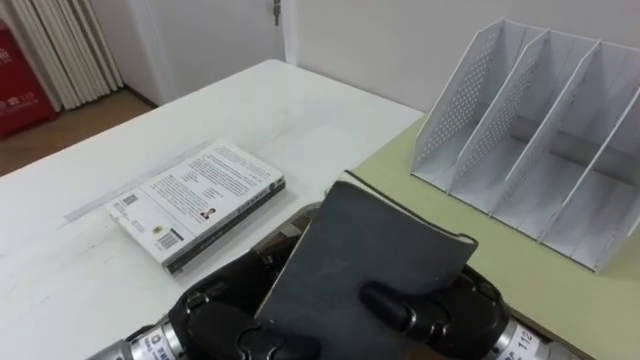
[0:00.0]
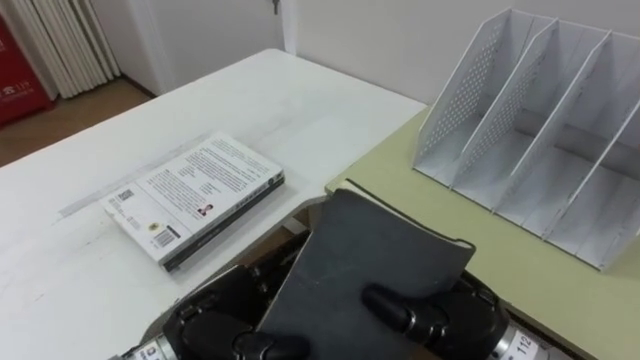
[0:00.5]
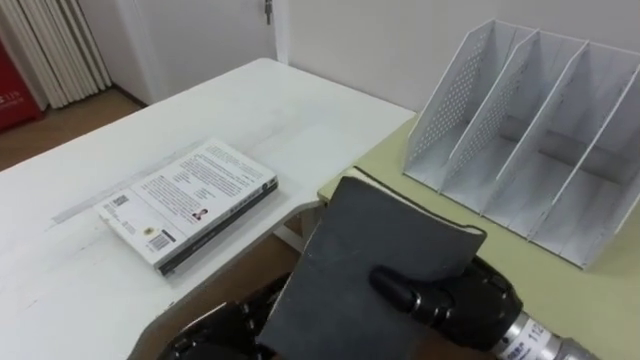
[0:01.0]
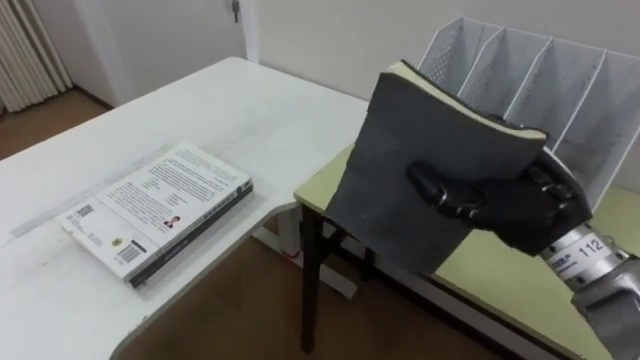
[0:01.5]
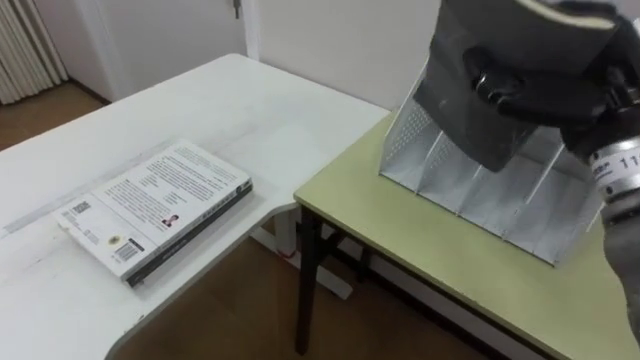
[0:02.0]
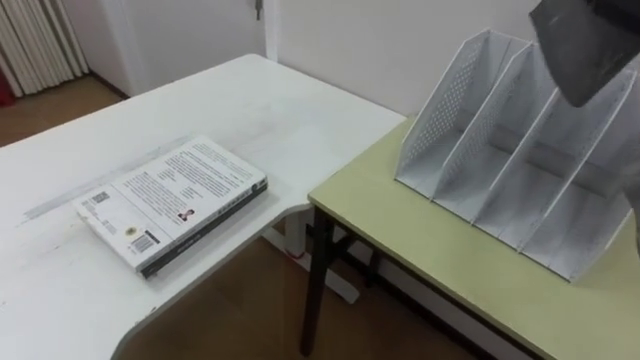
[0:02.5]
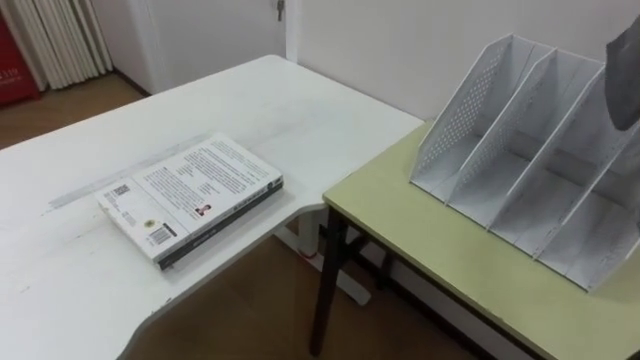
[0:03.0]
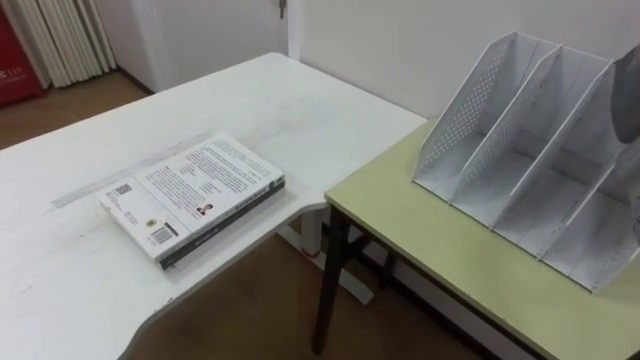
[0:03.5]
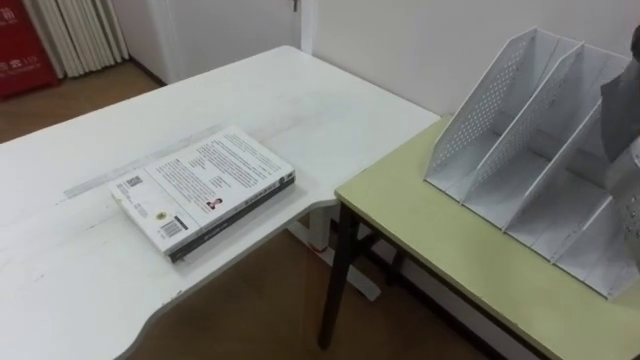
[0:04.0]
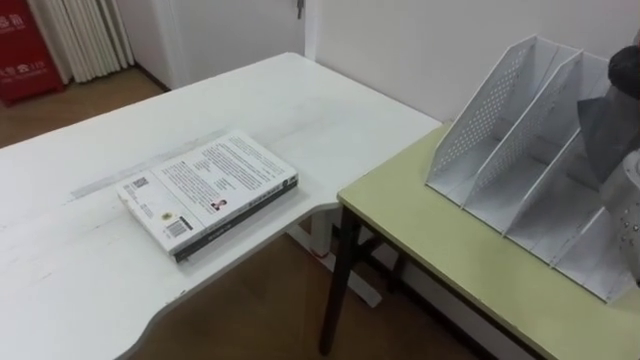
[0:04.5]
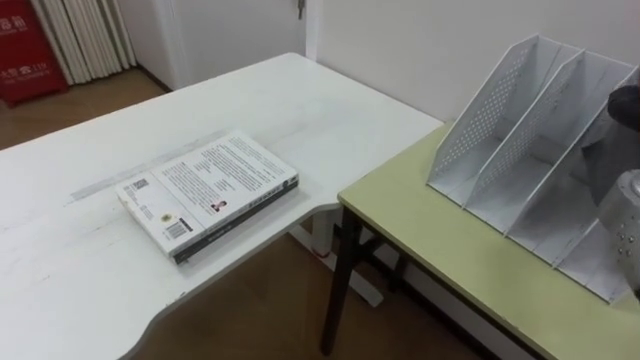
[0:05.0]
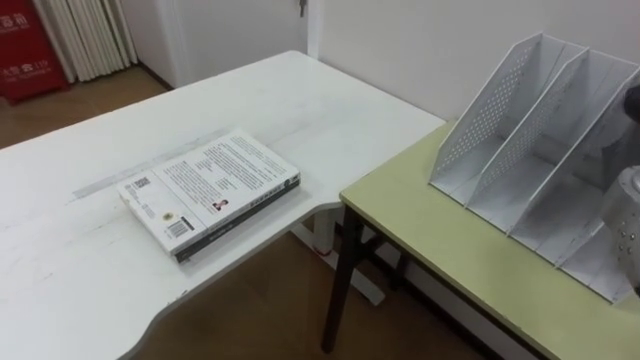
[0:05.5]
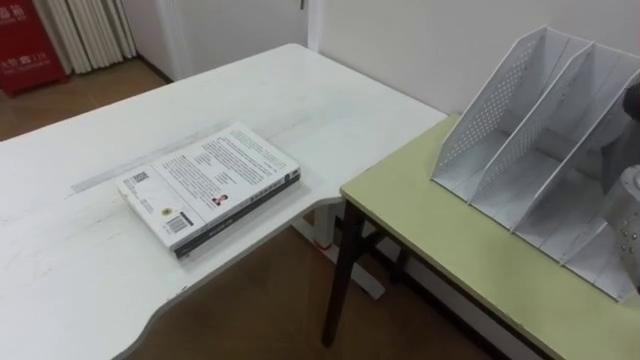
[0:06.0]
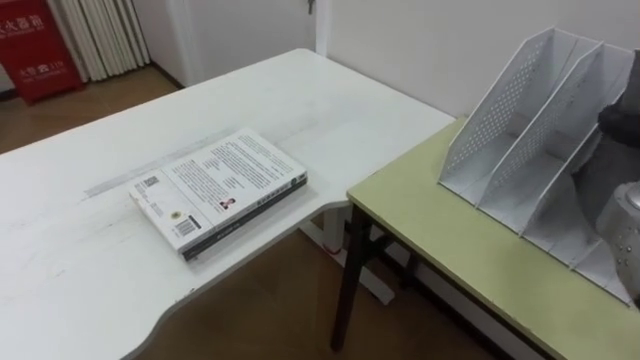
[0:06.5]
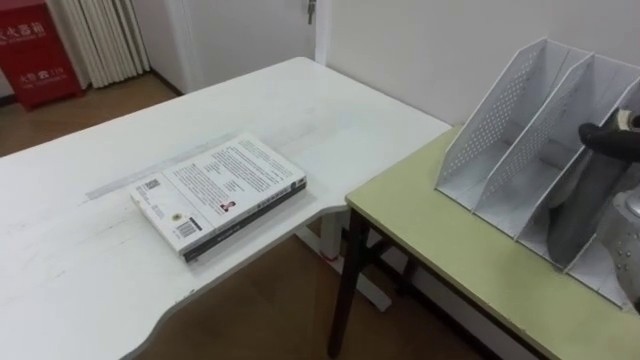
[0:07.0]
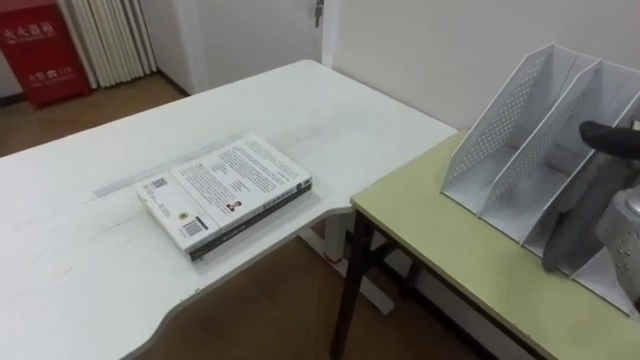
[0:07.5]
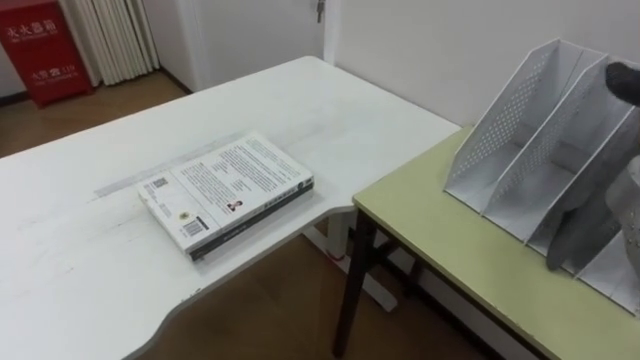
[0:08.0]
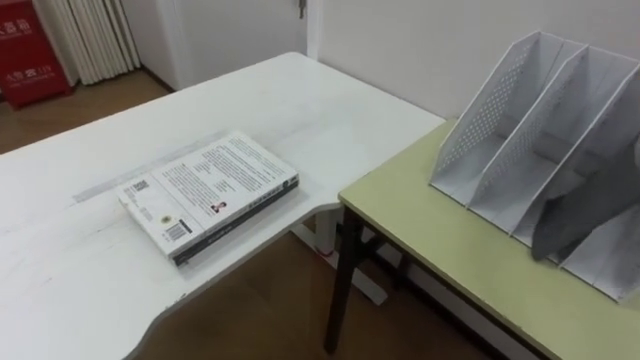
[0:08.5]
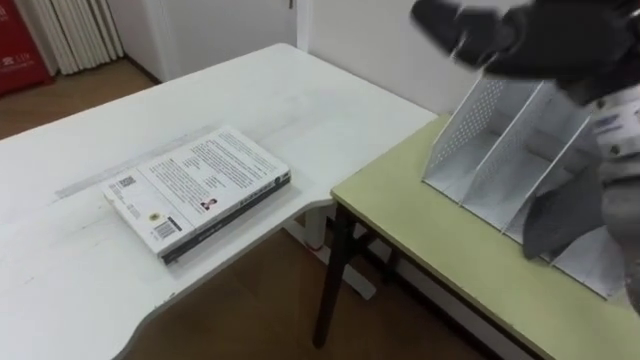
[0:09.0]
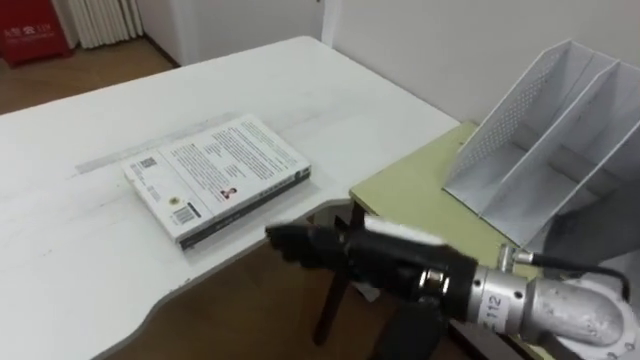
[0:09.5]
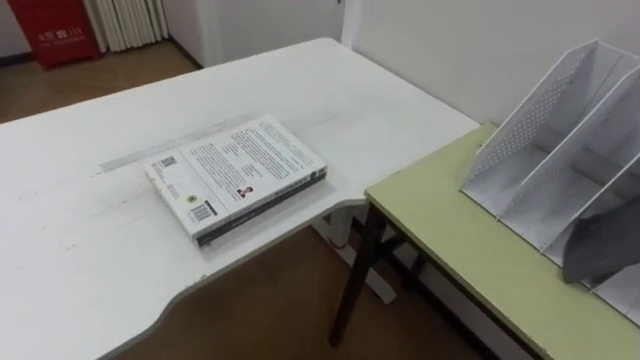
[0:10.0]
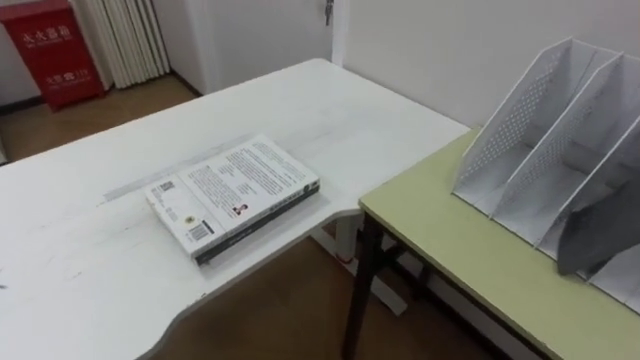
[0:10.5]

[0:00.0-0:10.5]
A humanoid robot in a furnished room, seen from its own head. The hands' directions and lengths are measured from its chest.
Task of the whole recording: Put the books on the table onto the bookshelf.
0:00.0 to 0:02.0: The right hand heads upward, to the right and forward, covering about 20 cm.

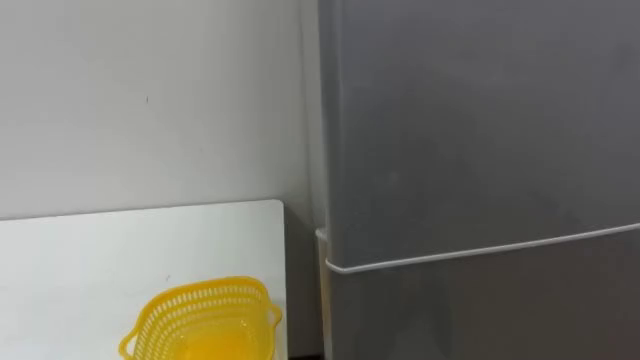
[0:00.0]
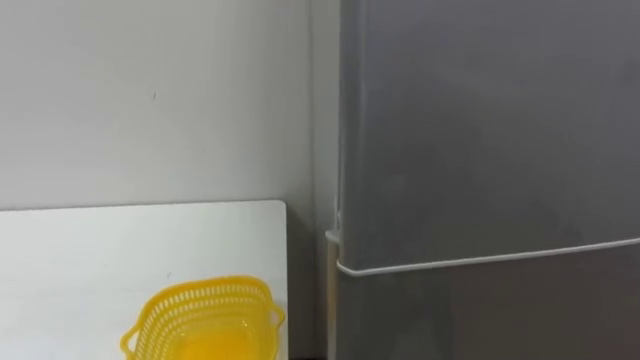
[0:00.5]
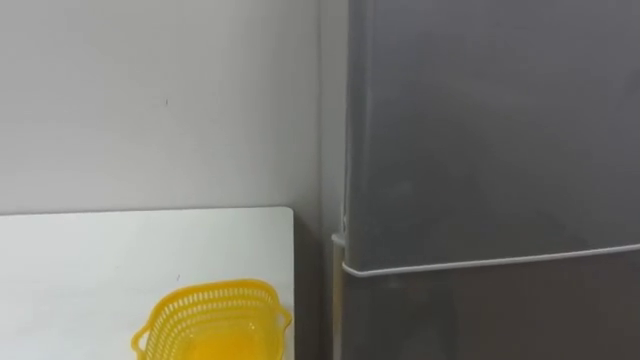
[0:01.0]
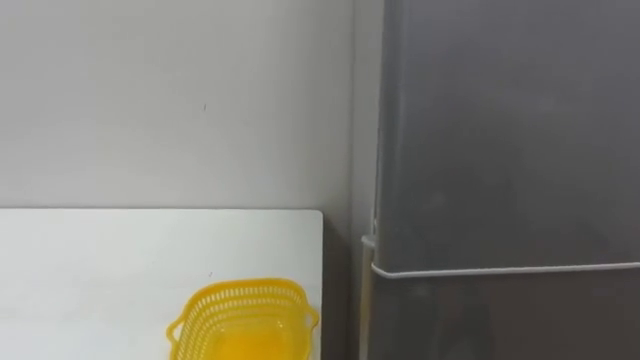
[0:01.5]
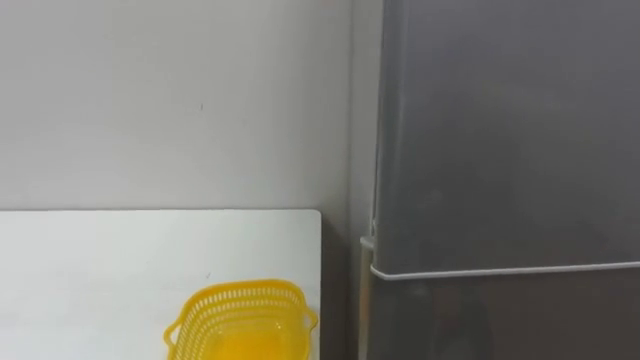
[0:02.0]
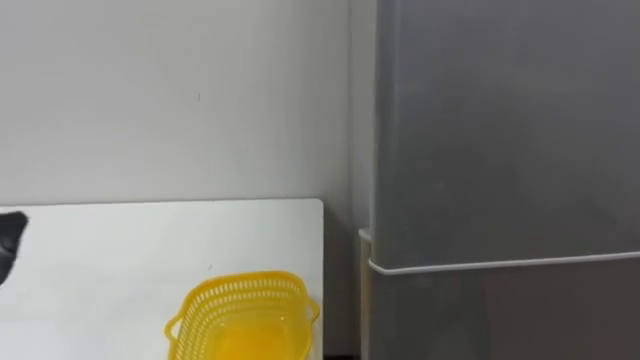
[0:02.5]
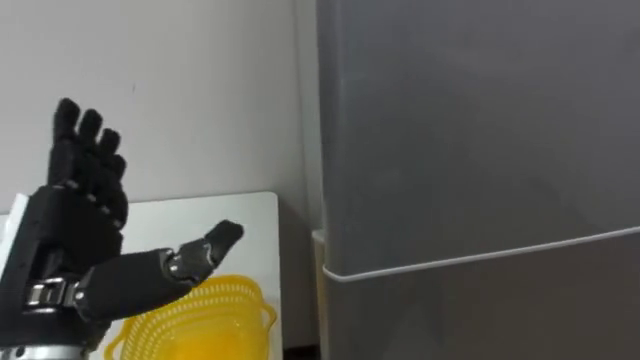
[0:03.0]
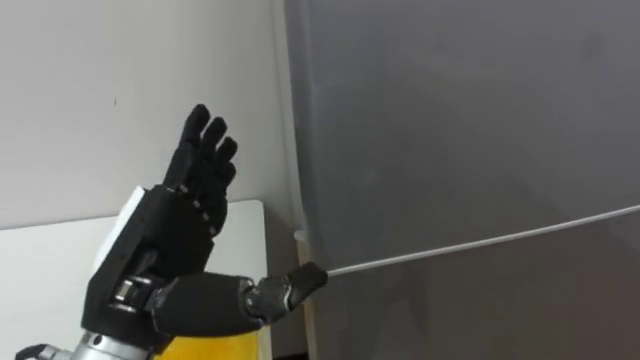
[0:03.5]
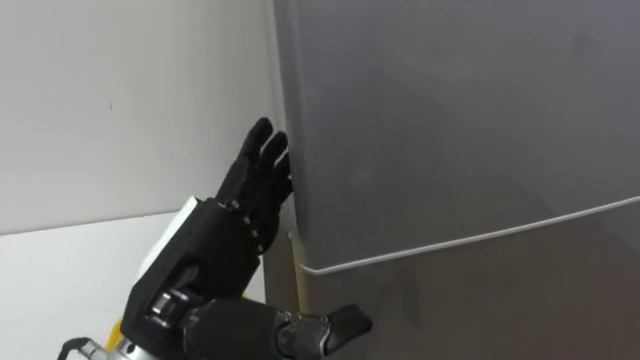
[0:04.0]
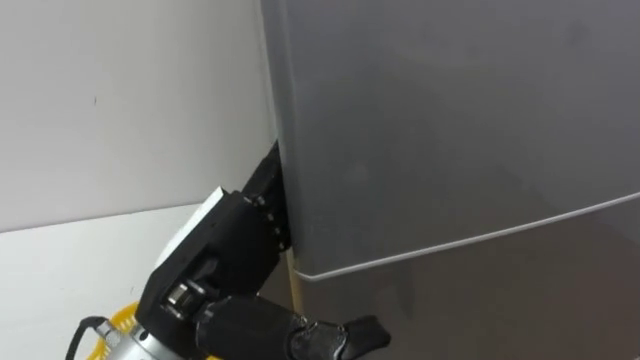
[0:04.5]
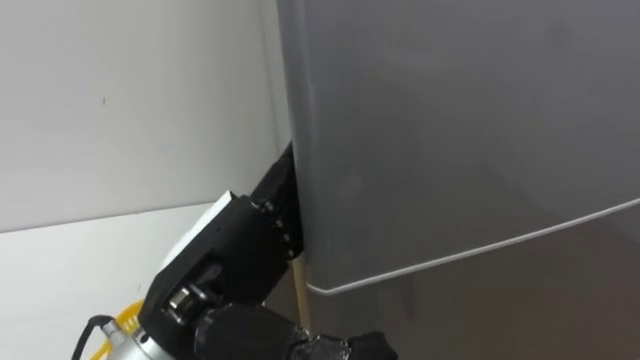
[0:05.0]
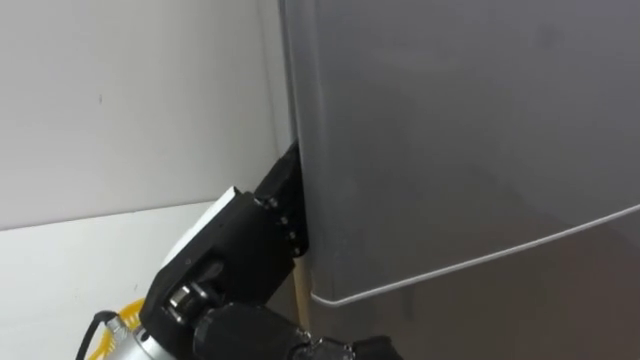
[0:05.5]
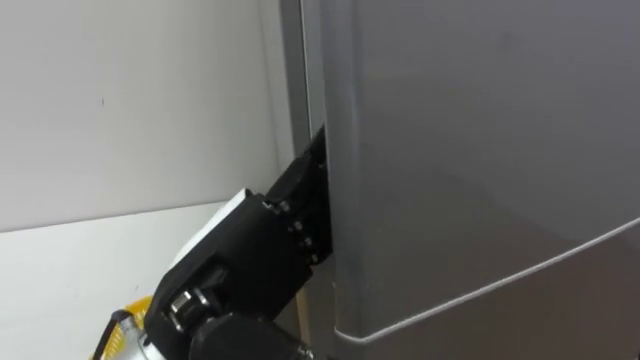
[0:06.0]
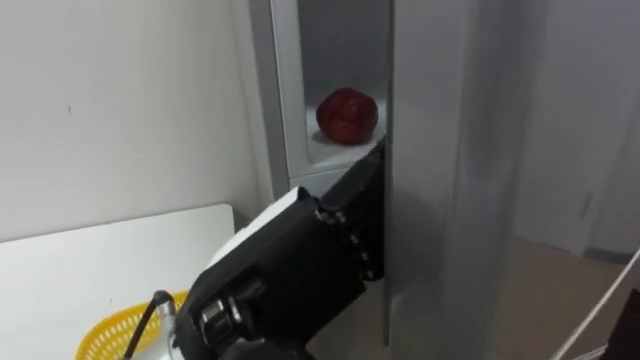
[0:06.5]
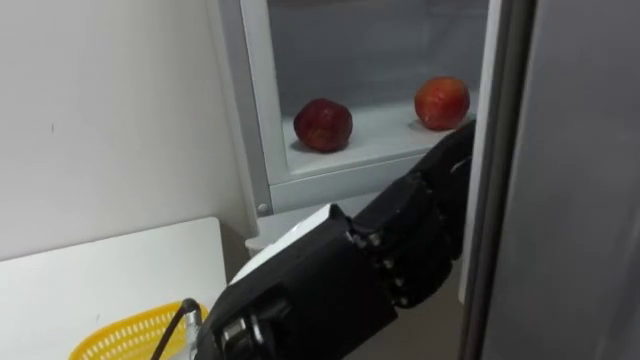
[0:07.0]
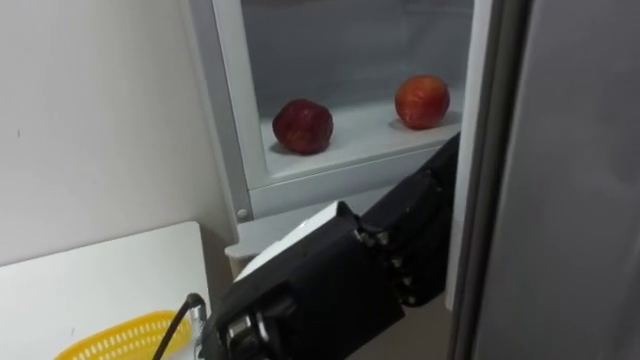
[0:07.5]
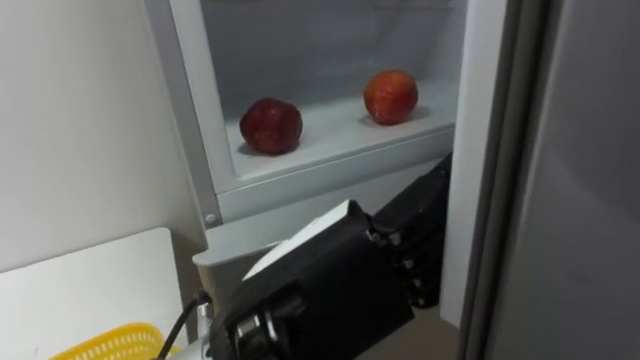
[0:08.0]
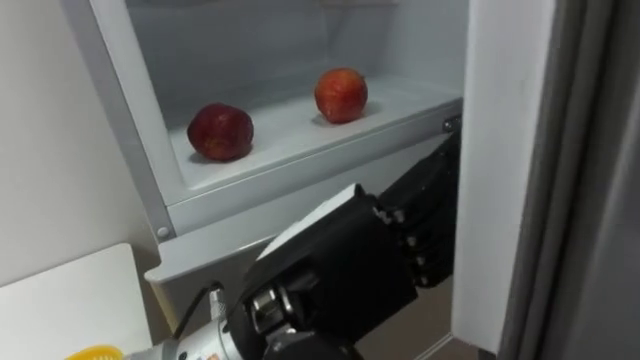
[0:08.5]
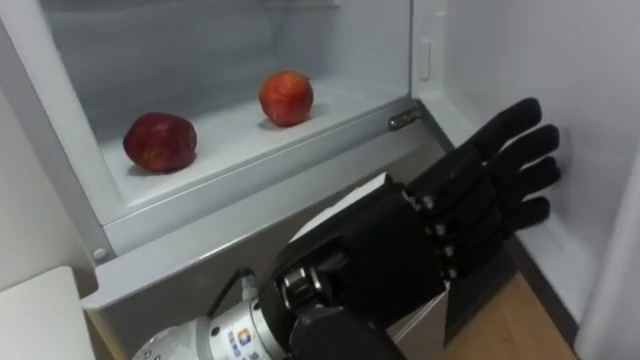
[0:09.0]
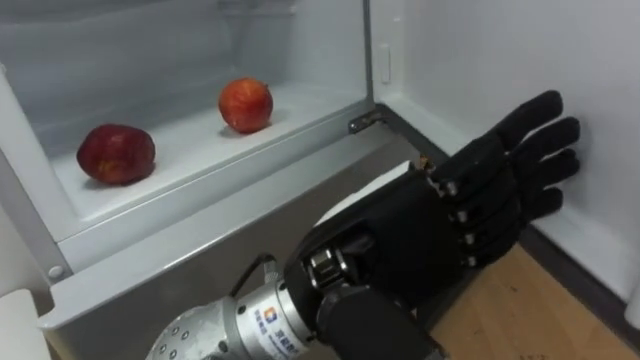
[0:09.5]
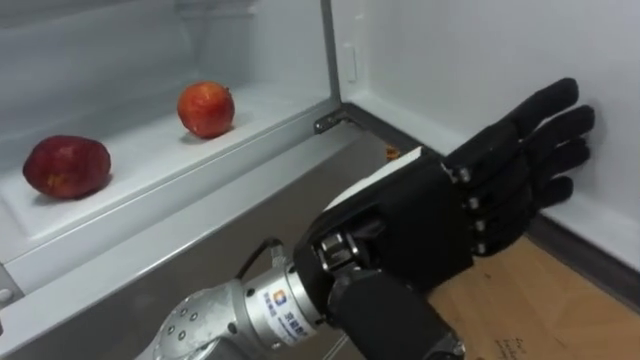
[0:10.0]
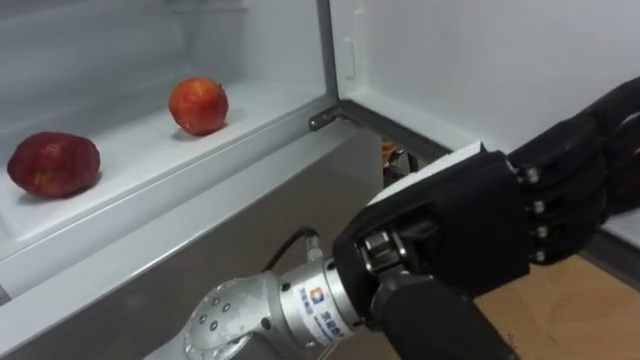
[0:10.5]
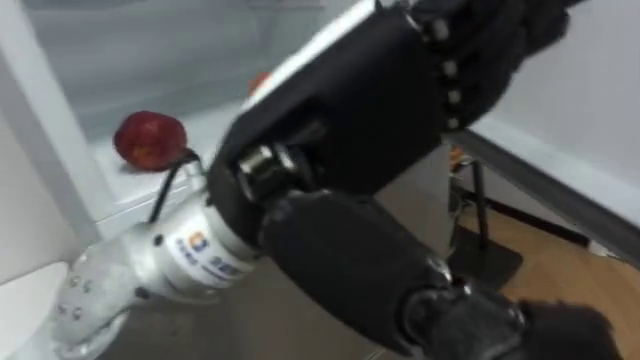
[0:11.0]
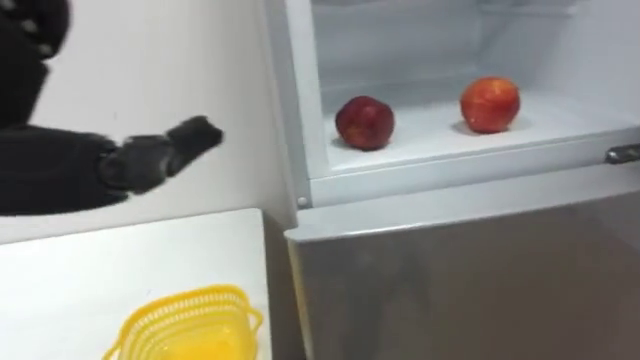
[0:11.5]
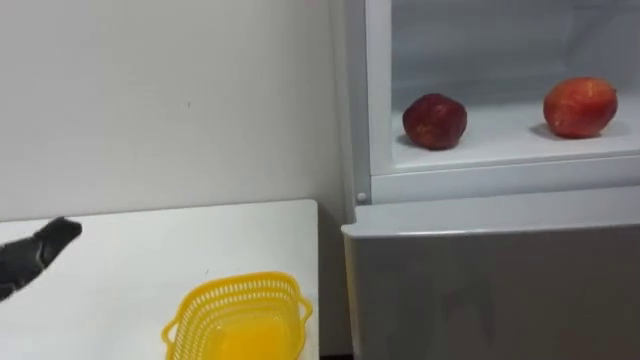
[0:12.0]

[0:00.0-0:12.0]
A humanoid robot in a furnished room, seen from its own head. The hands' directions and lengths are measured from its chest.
Task of the whole recording: Open the refrigerator door, take out the apple and the pomegranate, place them in the fruit basket on the left, and close the refrigerator door.
0:06.0 to 0:08.0: The left hand is displaced to the right by about 5 cm.
0:08.0 to 0:10.0: The left hand moves approximately 5 cm.
